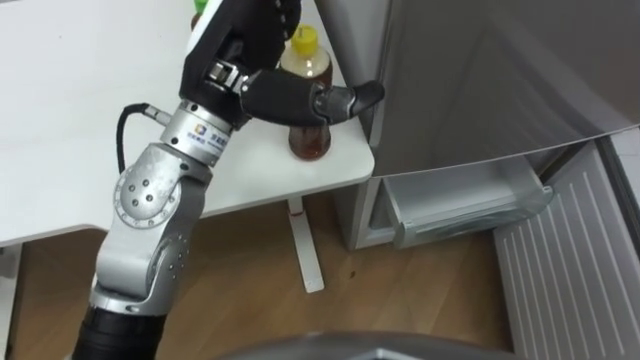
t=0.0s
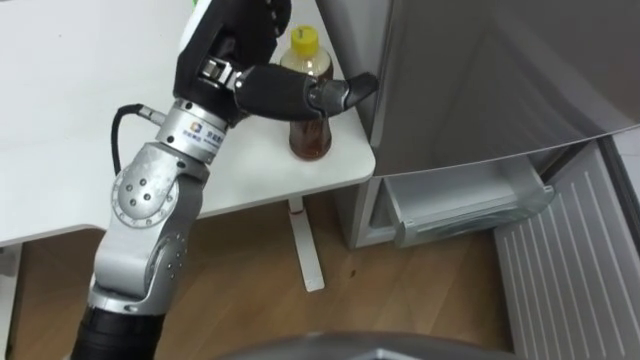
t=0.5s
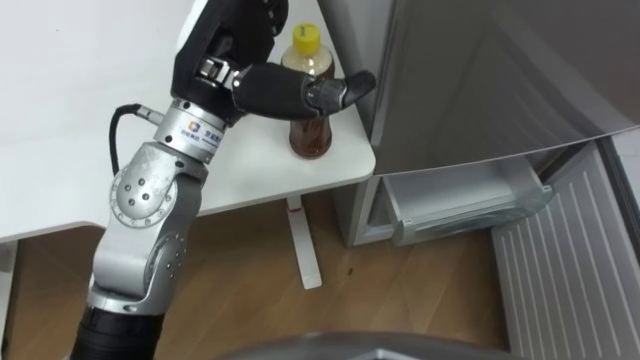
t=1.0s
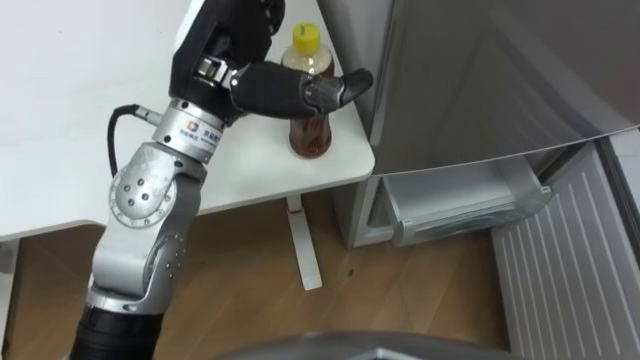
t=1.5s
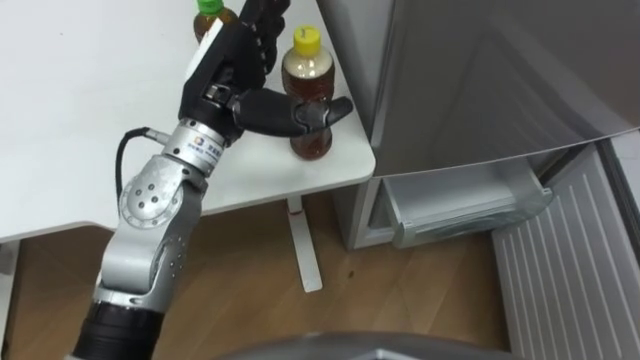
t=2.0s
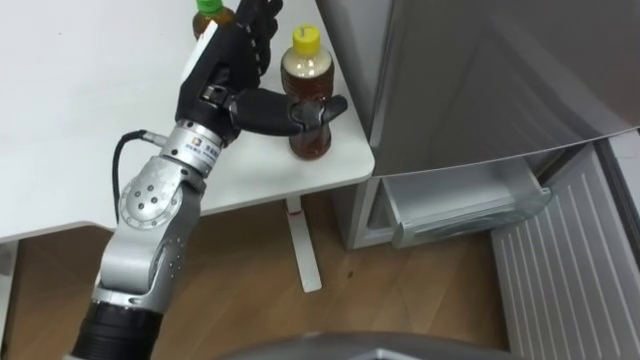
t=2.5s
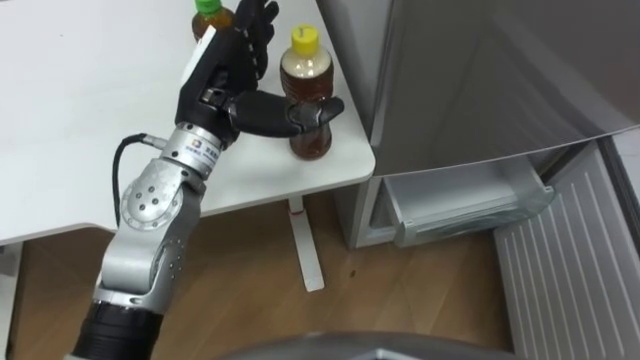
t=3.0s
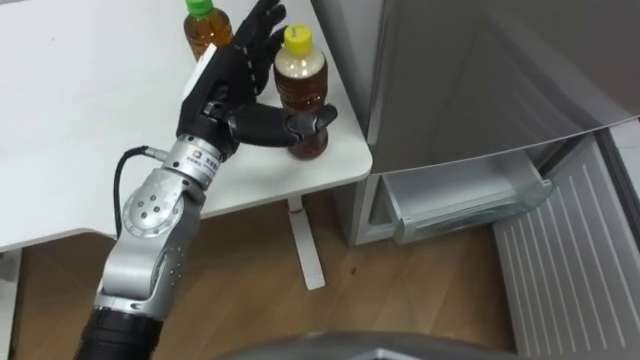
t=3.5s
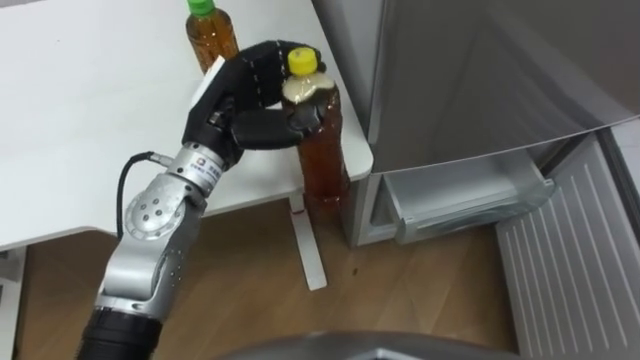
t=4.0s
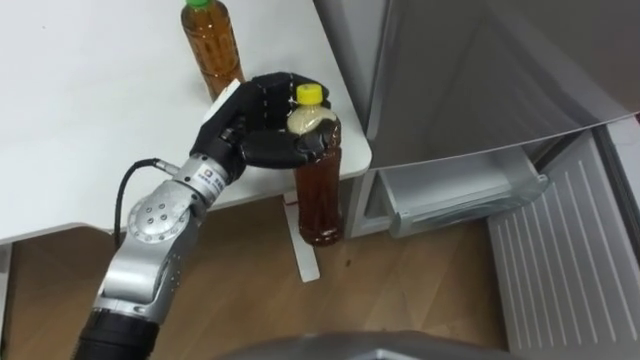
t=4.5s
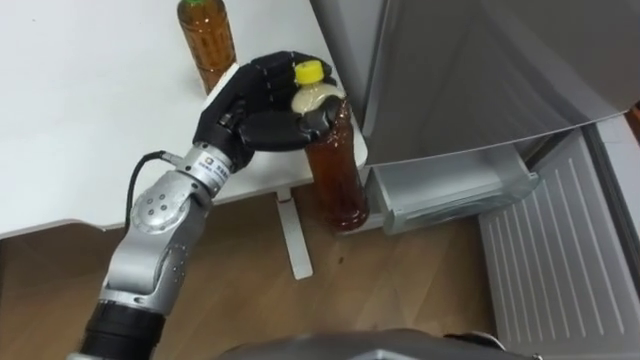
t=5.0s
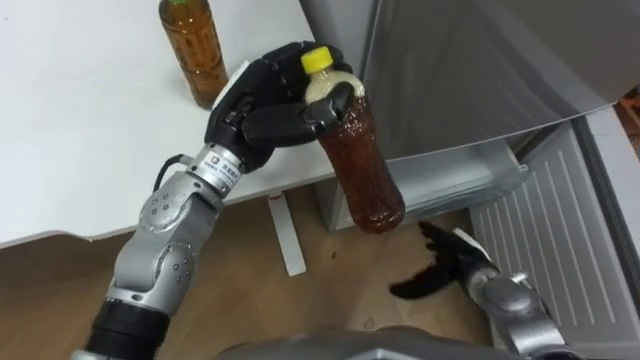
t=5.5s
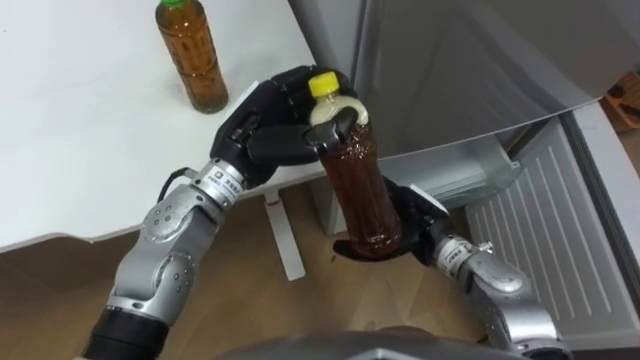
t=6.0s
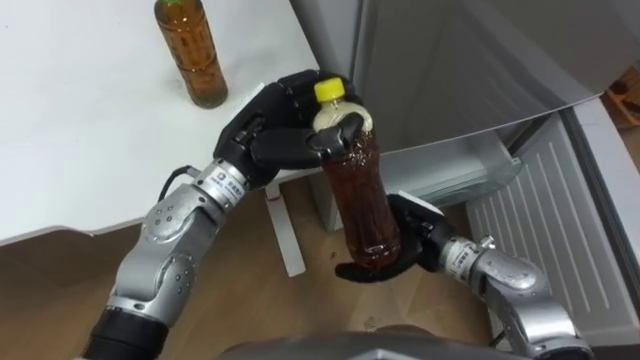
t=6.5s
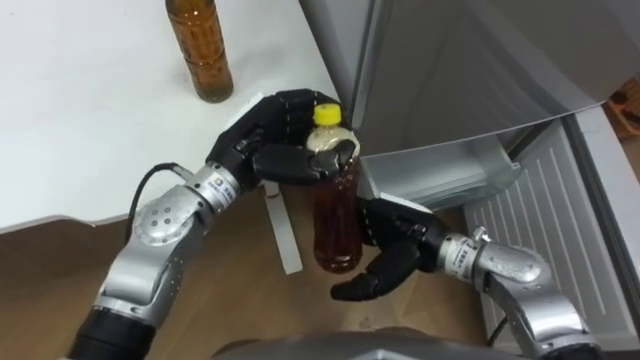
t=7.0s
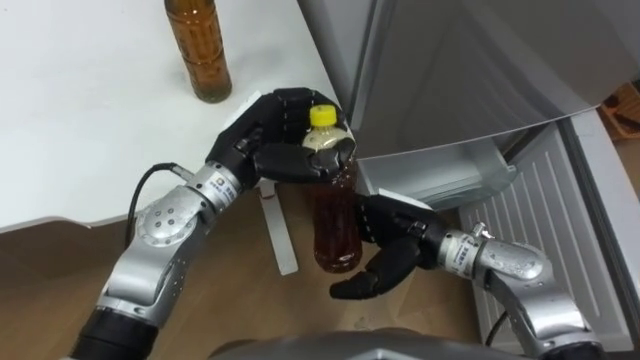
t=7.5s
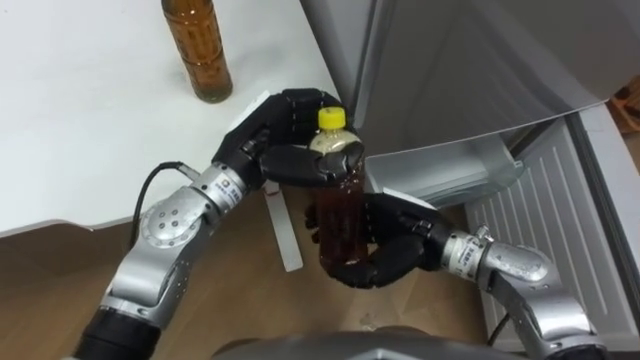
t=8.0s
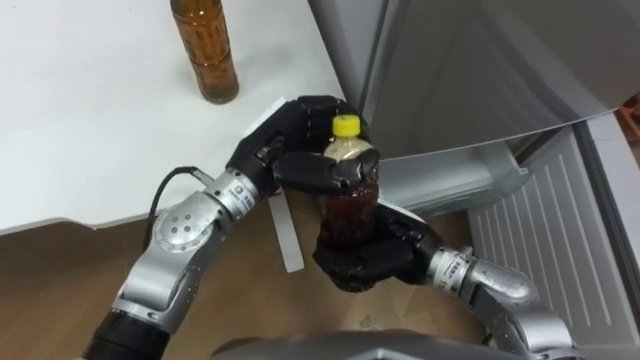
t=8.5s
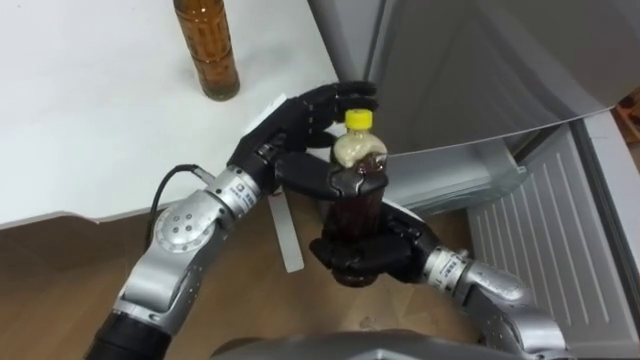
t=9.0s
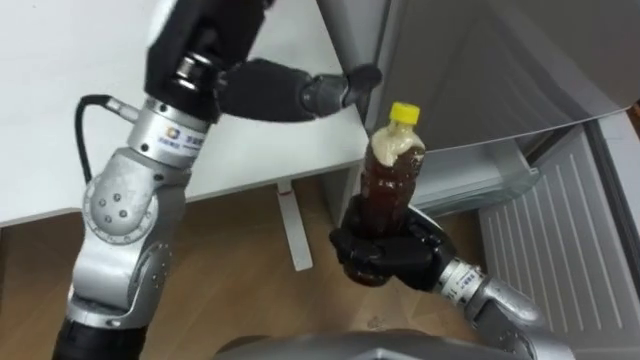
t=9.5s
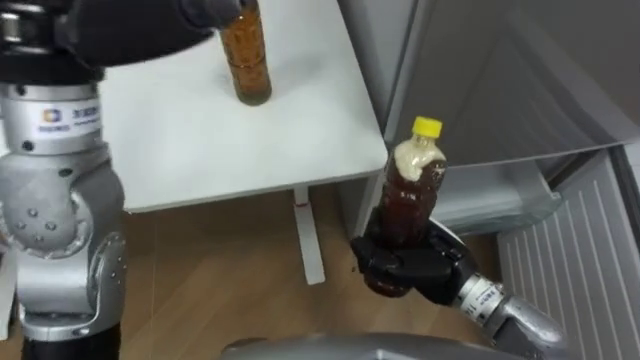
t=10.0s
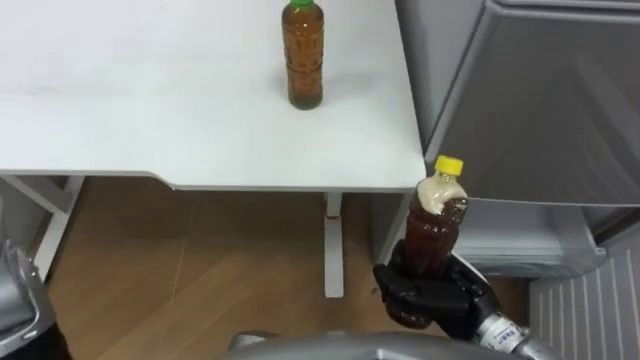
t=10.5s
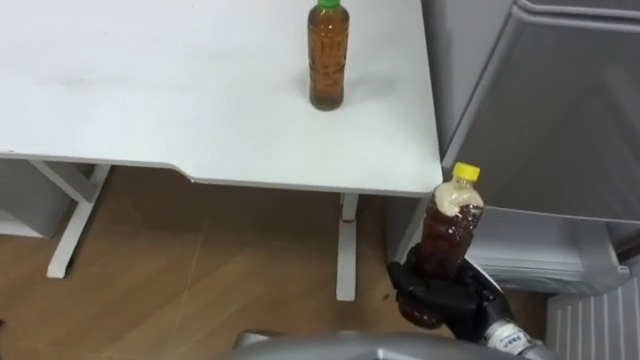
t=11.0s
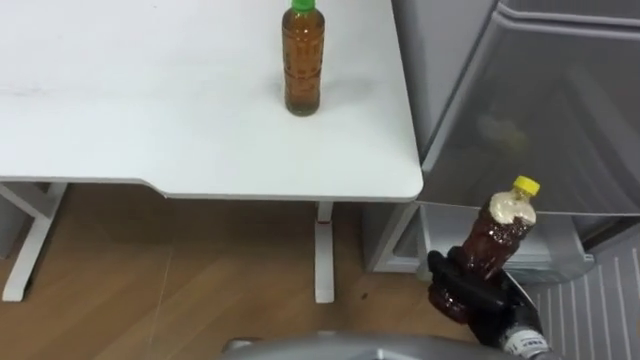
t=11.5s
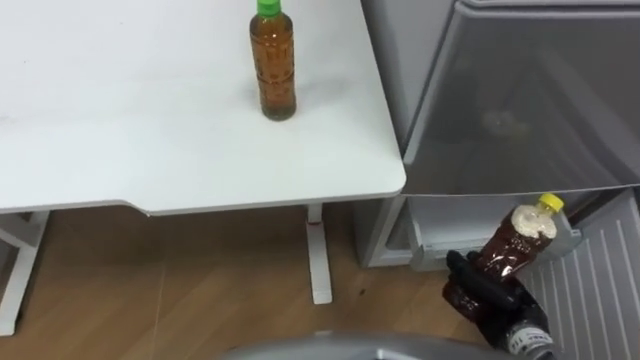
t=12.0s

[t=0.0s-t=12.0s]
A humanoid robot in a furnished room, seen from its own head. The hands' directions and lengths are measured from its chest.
Task of the whole recording: Place the drink on the table on the bottom shelf of the refrigerator, then close the drawer and the refrigerator door.
t=0.0s to t=2.0s: The left hand travels downward by roughly 5 cm.
t=2.0s to t=4.0s: The left hand closes.
t=6.0s to t=8.0s: The right hand changes place by some 5 cm.
t=8.0s to t=10.0s: The right hand closes up. The left hand goes approximately 25 cm upward and to the left, and opens its fingers.
t=10.0s to t=12.0s: The right hand heads to the right, downward and backward, covering about 15 cm.

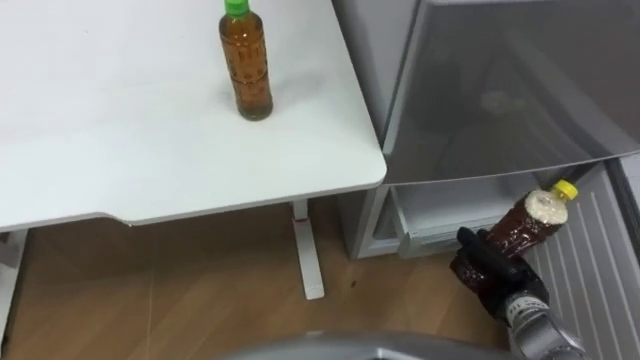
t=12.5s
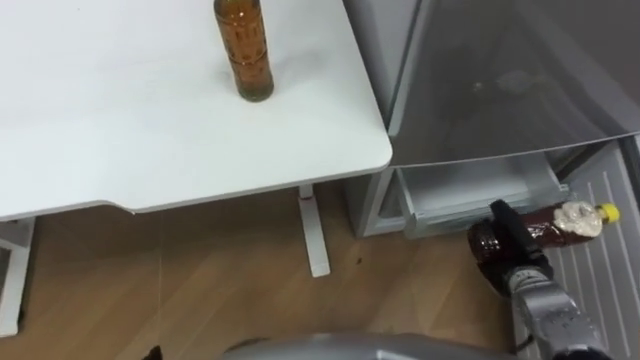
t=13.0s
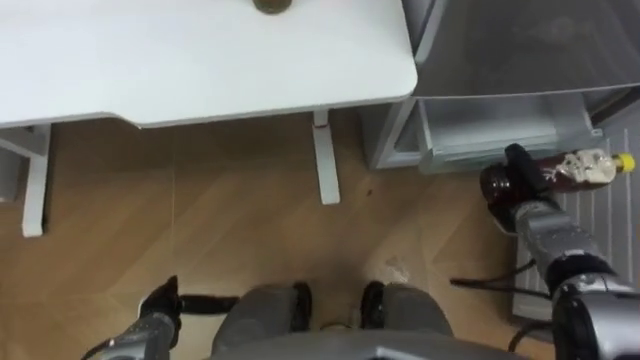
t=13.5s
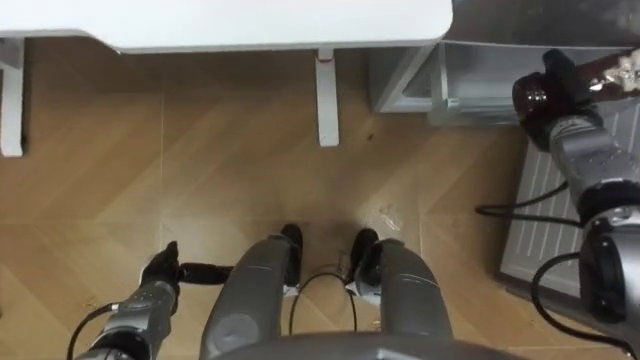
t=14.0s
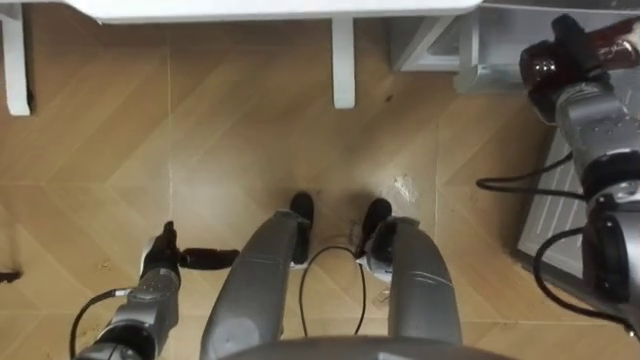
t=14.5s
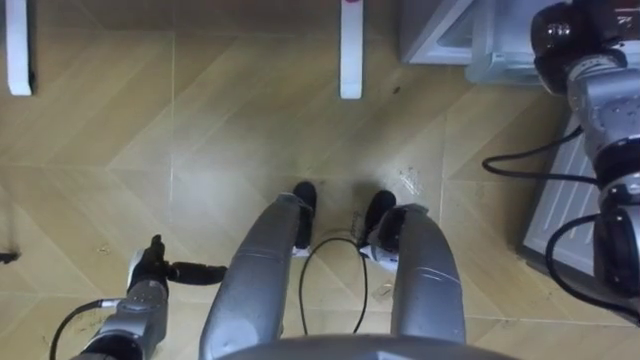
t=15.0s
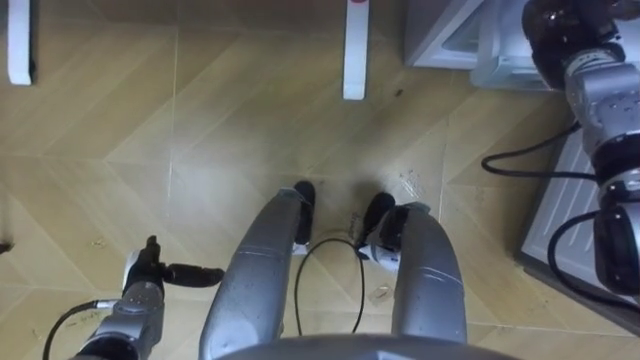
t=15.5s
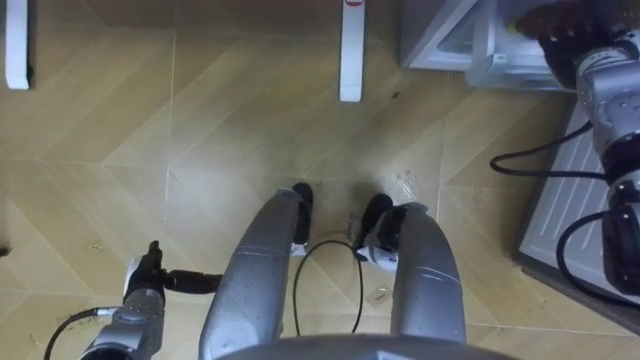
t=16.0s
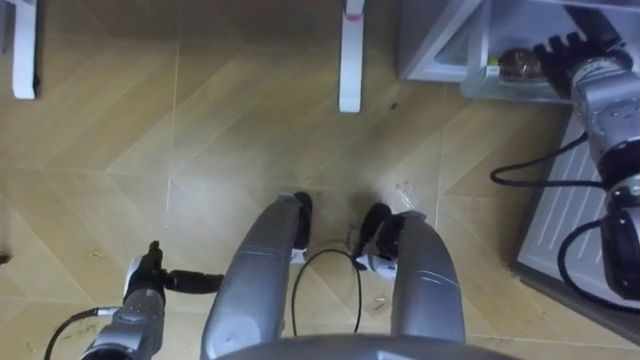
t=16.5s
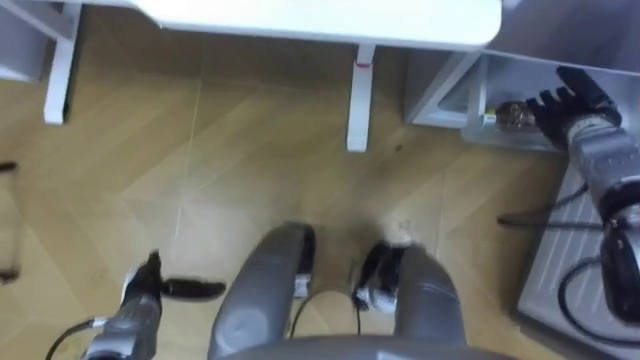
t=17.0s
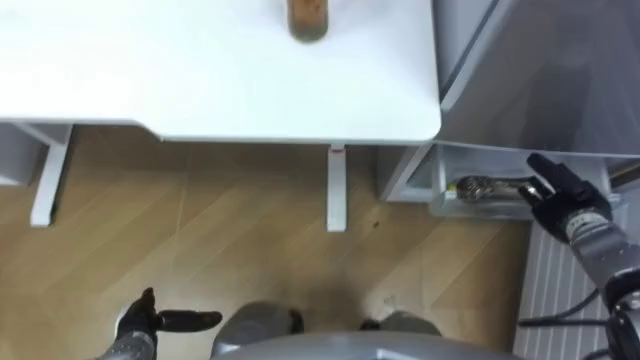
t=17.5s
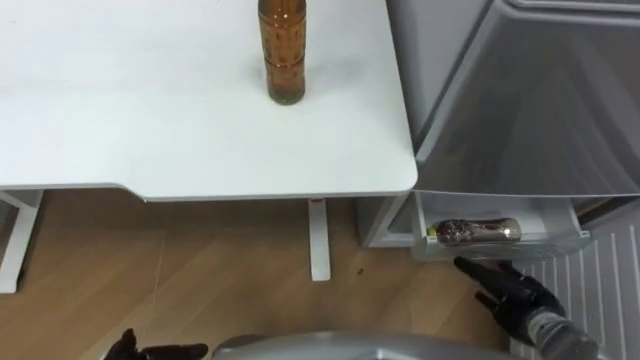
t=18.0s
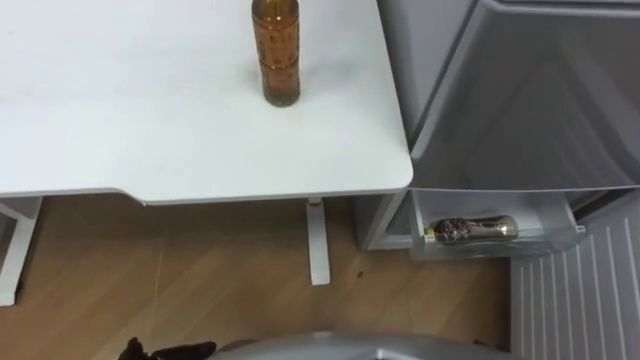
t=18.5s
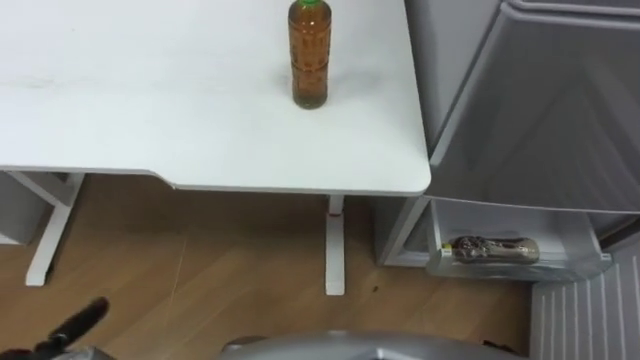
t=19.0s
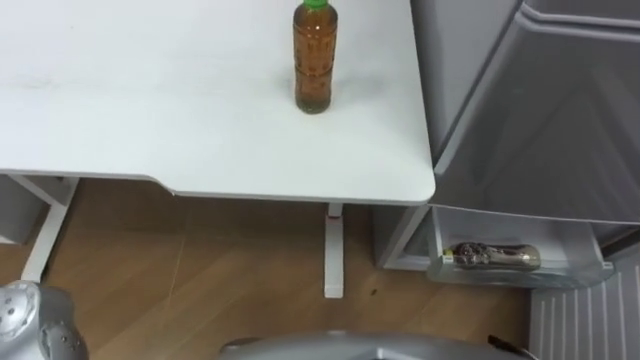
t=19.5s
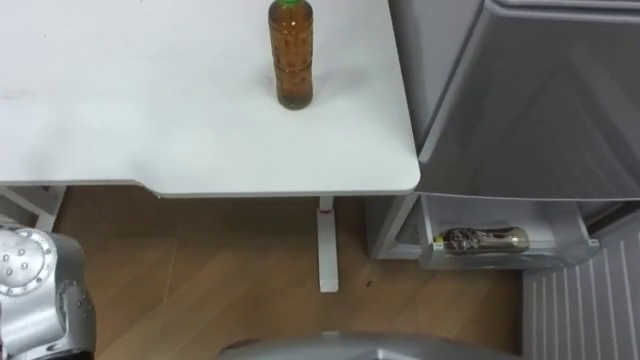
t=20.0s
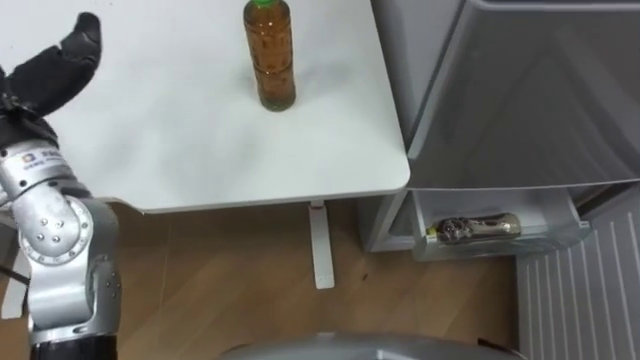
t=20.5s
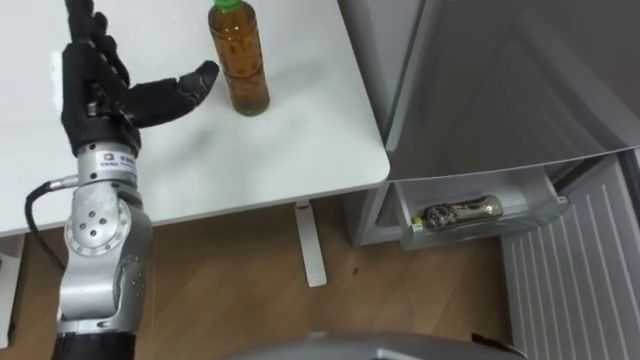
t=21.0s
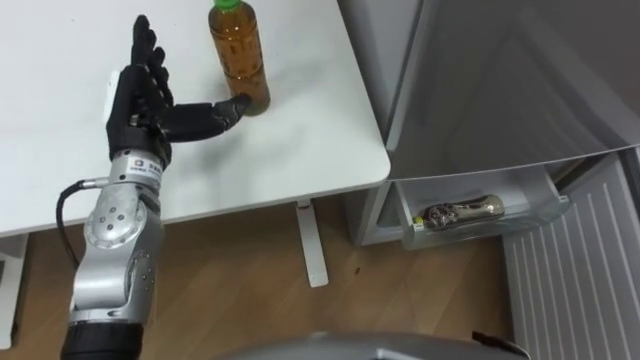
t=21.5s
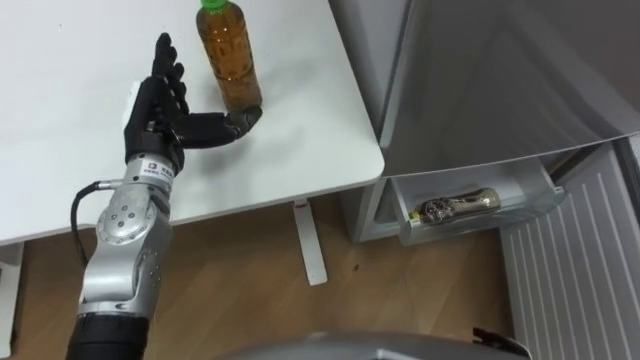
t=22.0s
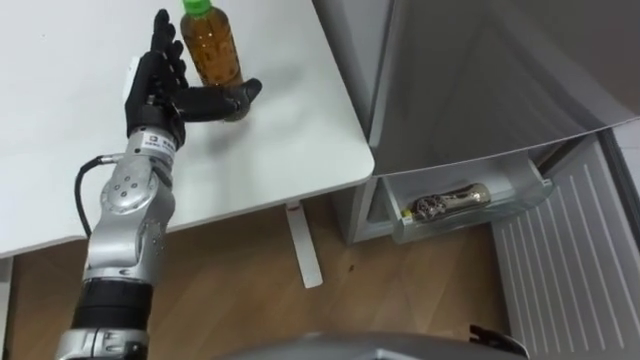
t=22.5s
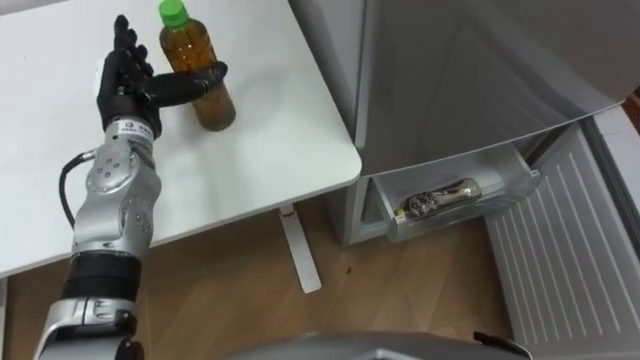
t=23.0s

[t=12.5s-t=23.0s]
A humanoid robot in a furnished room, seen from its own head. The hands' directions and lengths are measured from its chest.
Task of the whole recording: Place the drink on the table on the bottom shelf of the refrigerator, then close the drawer and the refrigerator door.
t=12.5s to t=14.5s: The right hand shifts some 25 cm forward and upward.
t=14.5s to t=16.5s: The right hand opens its fingers.
t=21.0s to t=23.0s: The left hand travels downward and forward by roughly 10 cm.
